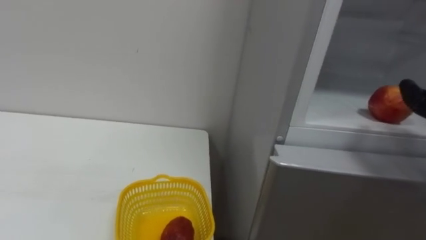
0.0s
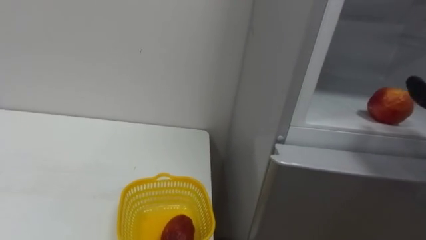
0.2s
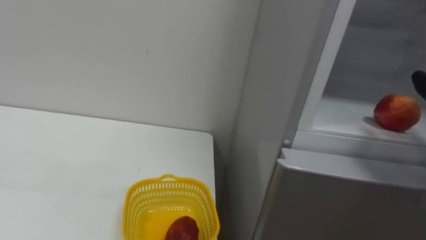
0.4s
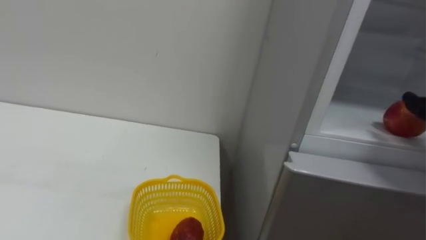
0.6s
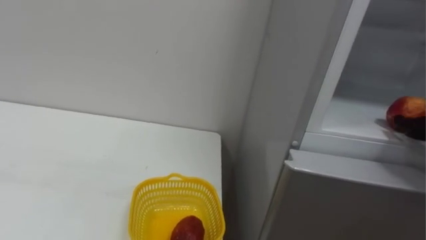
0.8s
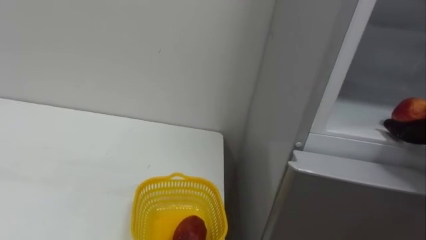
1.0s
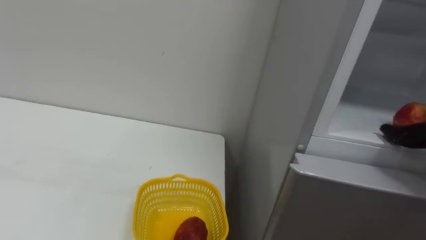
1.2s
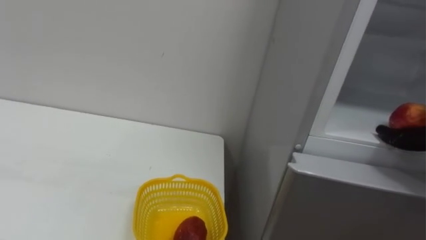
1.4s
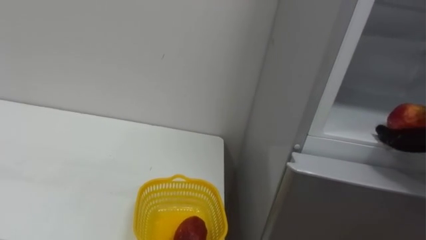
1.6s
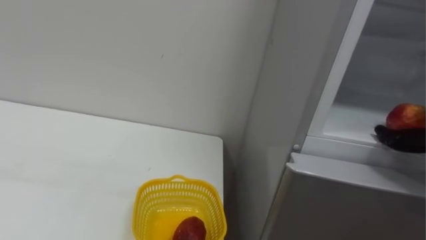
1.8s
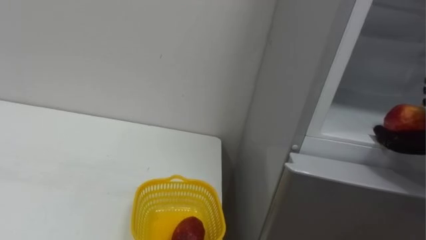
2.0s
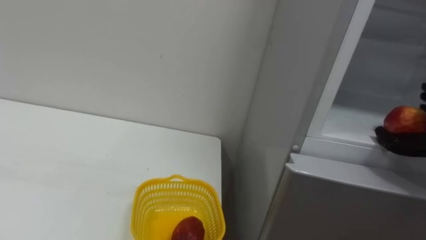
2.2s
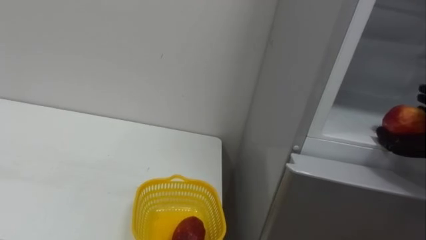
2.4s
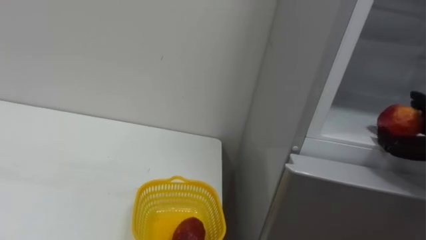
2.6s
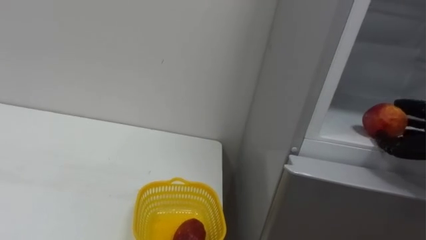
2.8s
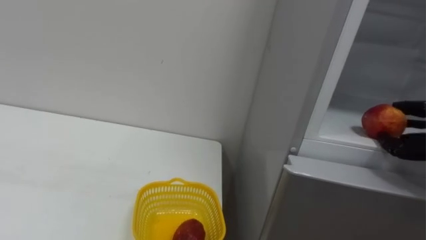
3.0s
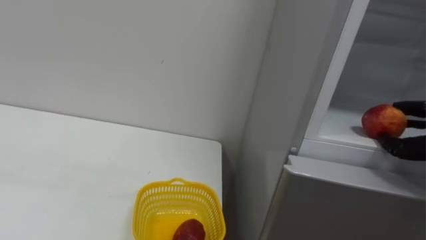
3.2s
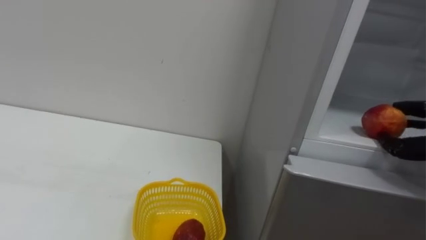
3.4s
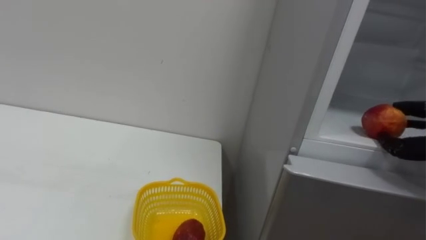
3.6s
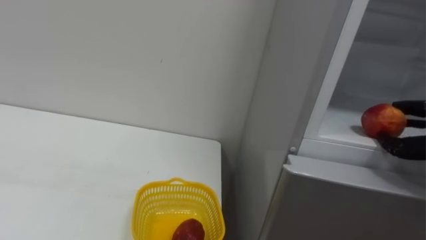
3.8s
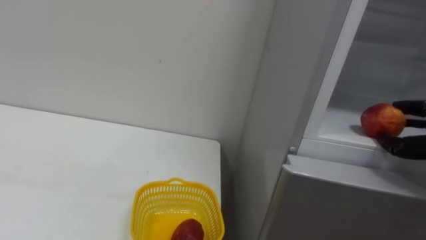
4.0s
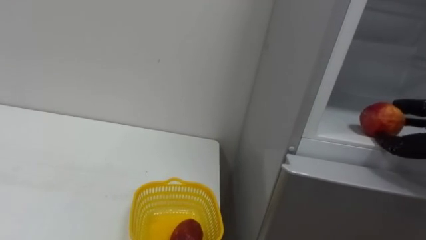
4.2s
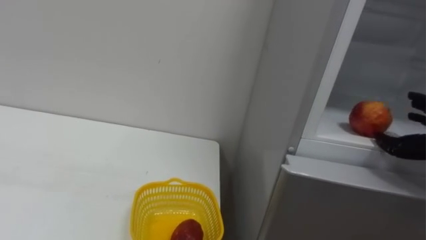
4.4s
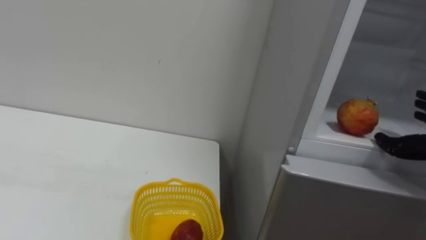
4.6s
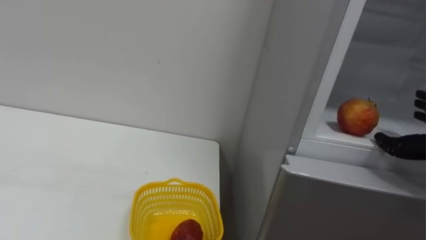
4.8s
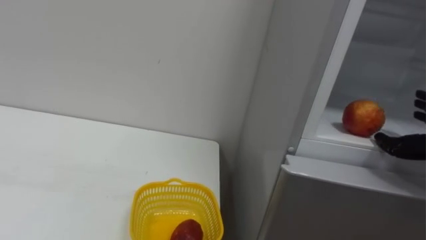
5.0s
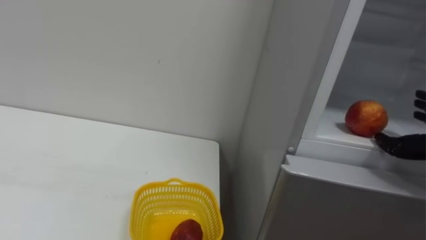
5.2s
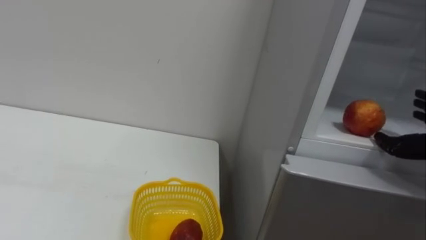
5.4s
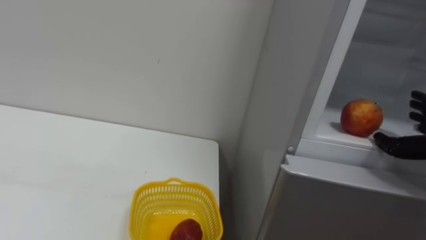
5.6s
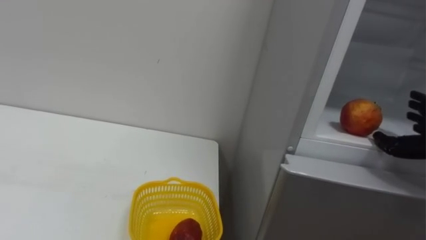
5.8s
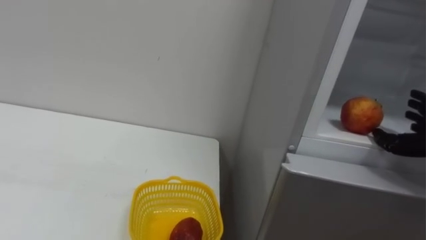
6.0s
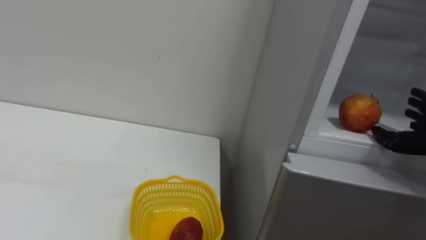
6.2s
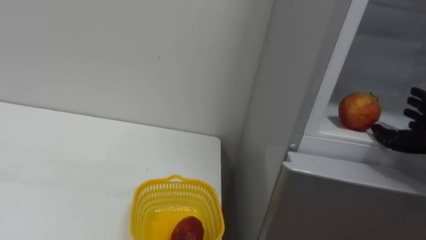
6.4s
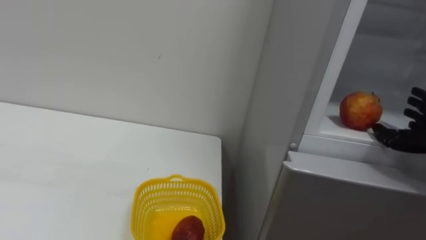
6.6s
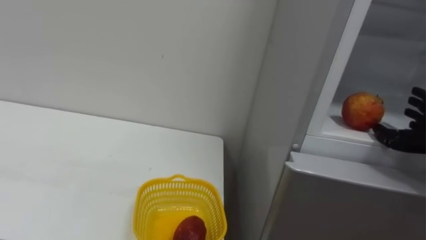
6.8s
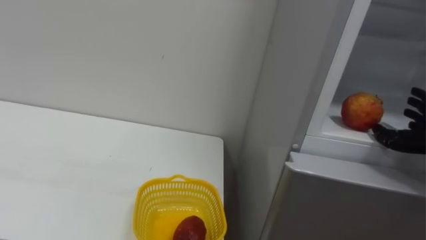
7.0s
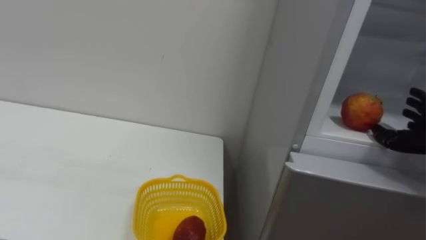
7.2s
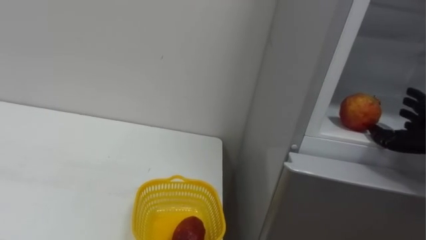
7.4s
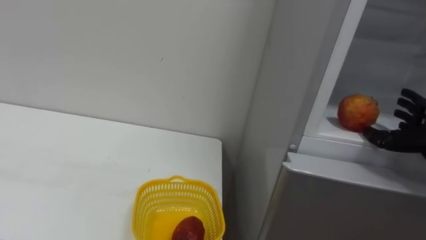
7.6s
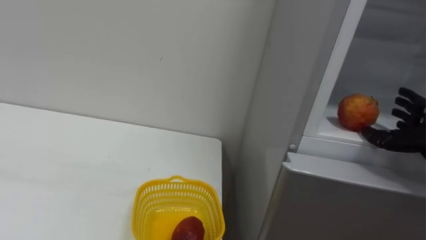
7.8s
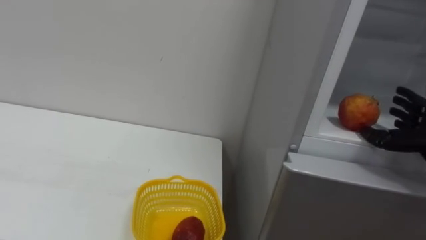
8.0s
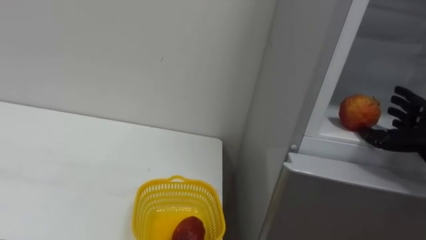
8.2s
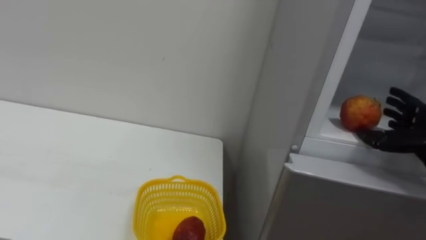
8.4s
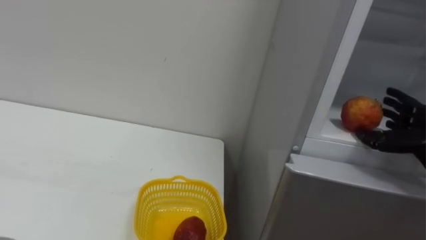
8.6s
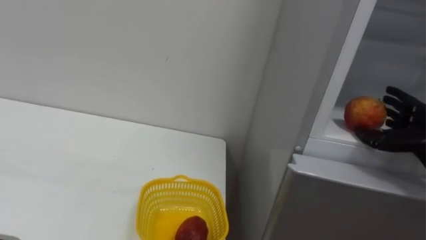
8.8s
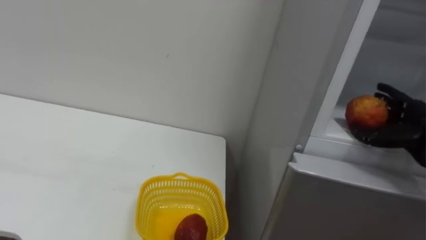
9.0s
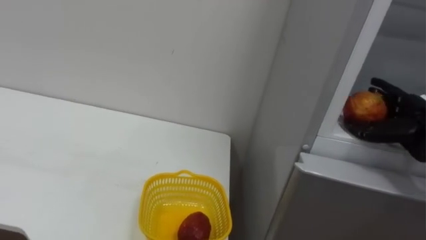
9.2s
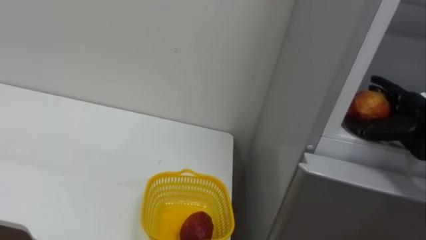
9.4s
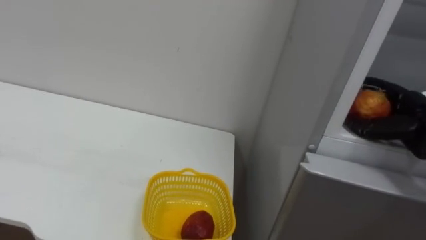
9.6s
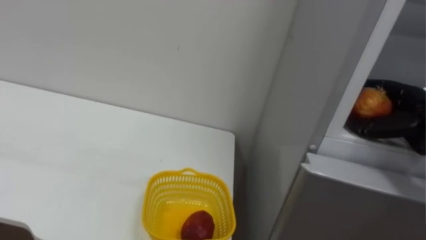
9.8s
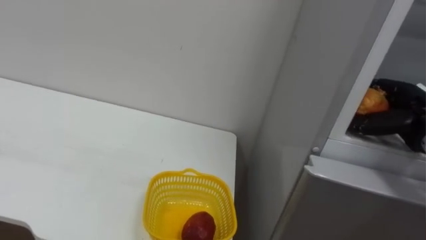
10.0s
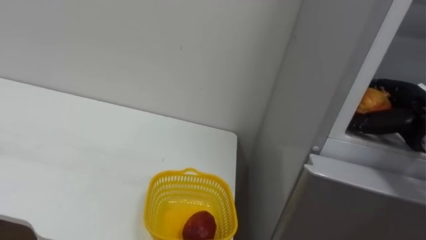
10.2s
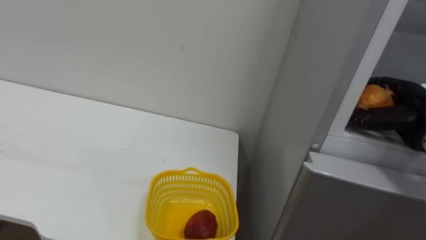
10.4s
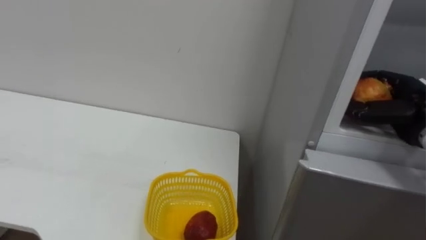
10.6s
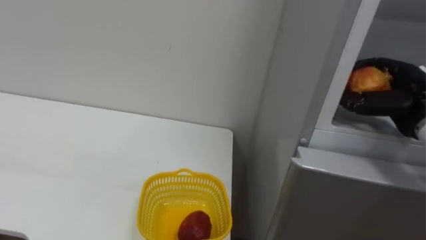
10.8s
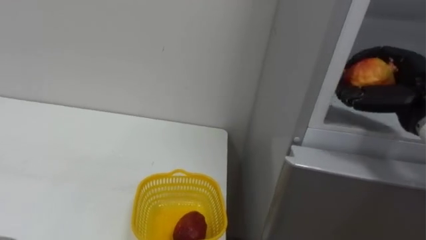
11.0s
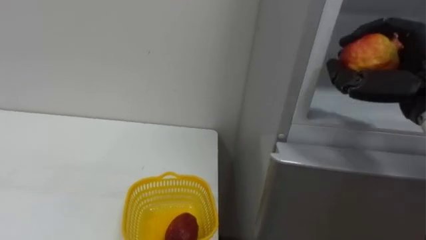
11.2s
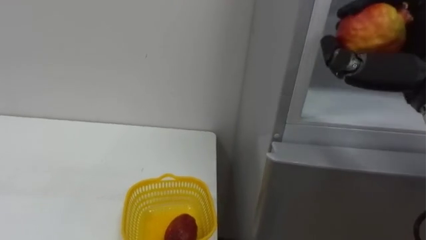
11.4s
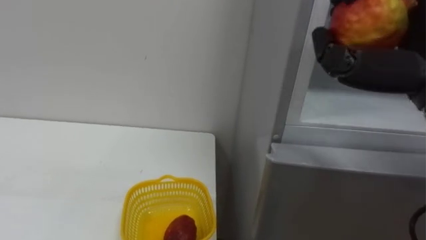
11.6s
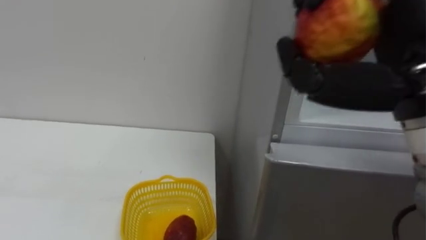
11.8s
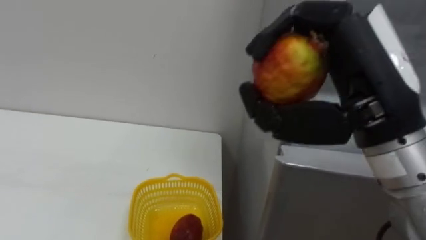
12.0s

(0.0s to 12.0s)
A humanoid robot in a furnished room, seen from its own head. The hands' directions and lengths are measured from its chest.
Task of the whole recording: Open the refrigerator door, take out the apple and the pomegranate, place them in the fruit basket on the left, and close the refrigerator door.
9.0s - 10.4s: The right hand closes.
10.4s - 12.0s: The right hand moves to the left, backward and upward, some 25 cm.

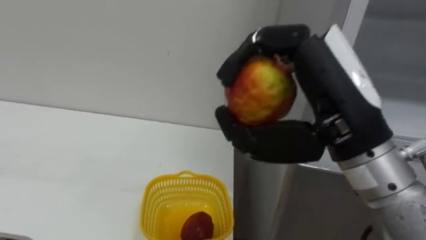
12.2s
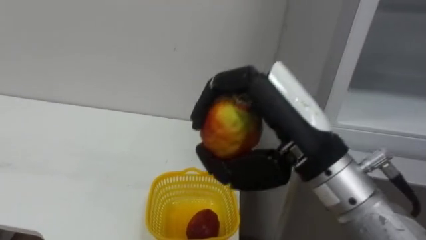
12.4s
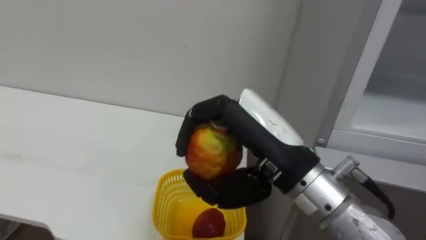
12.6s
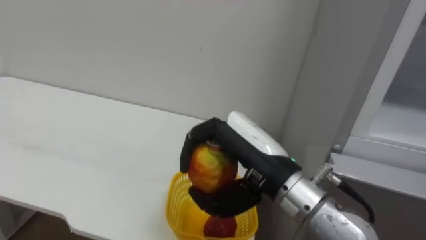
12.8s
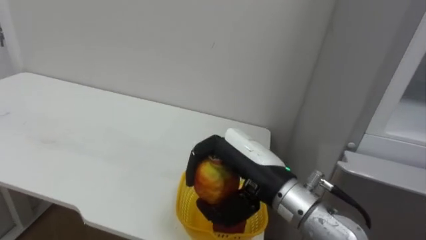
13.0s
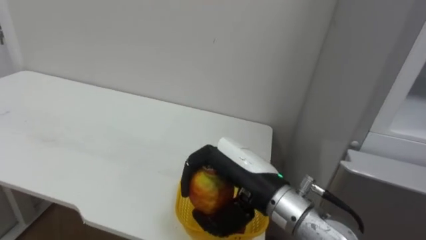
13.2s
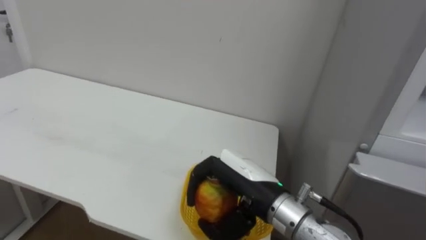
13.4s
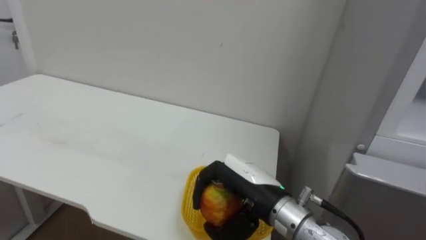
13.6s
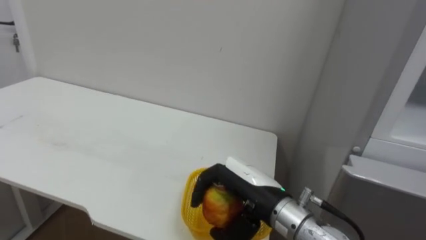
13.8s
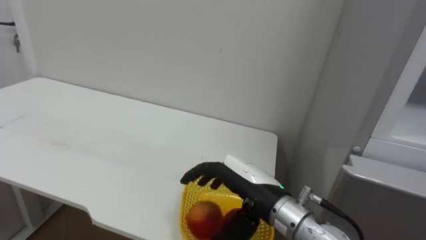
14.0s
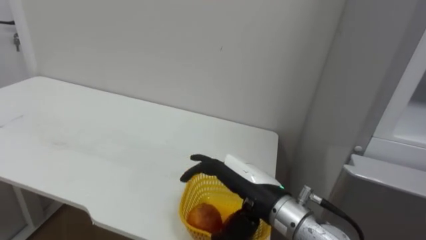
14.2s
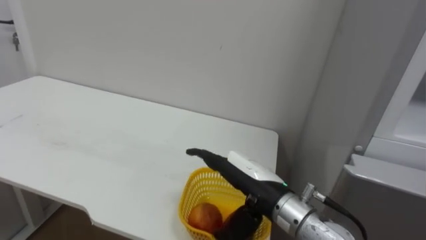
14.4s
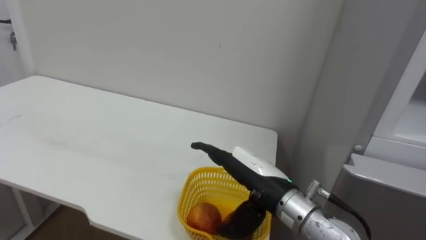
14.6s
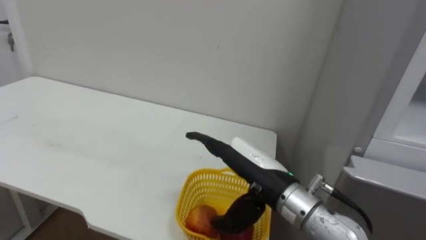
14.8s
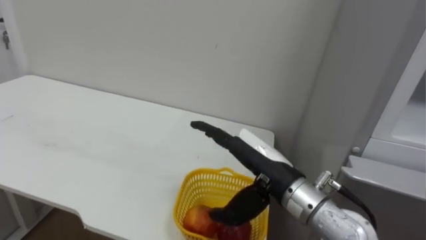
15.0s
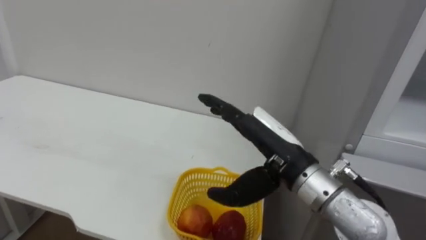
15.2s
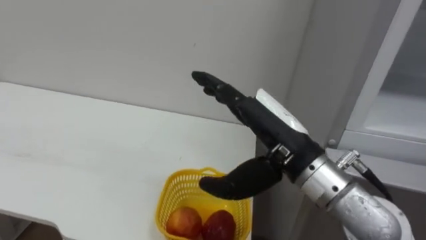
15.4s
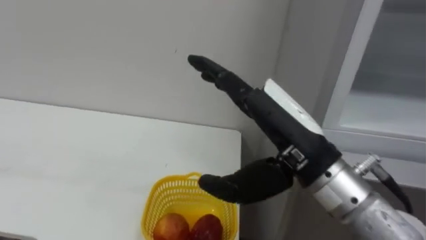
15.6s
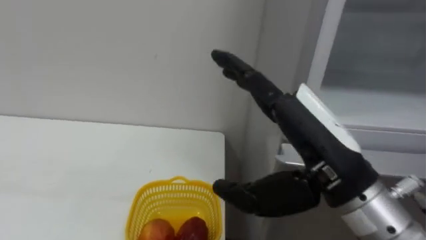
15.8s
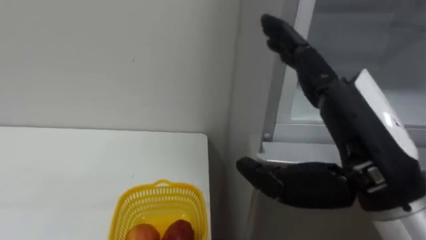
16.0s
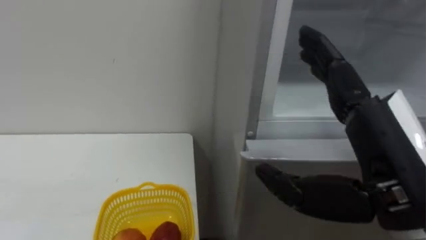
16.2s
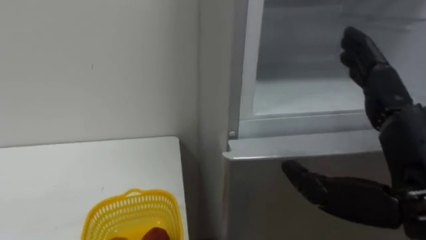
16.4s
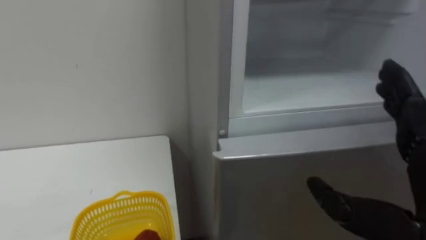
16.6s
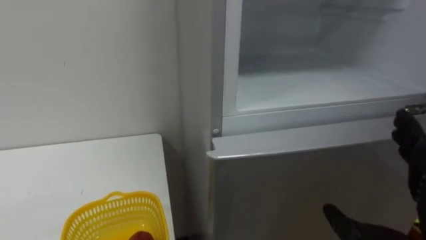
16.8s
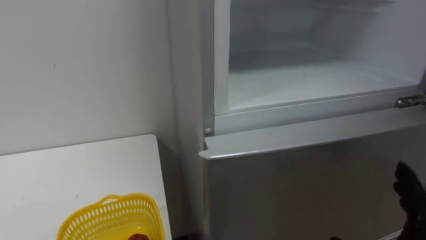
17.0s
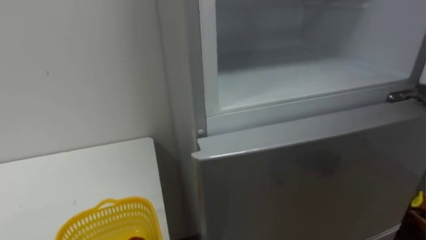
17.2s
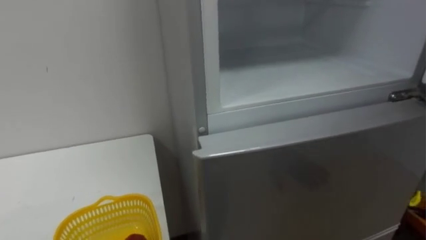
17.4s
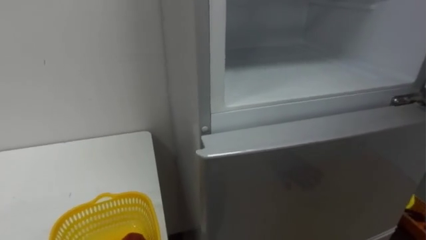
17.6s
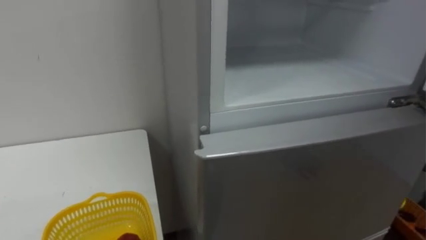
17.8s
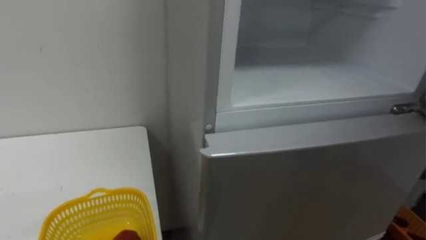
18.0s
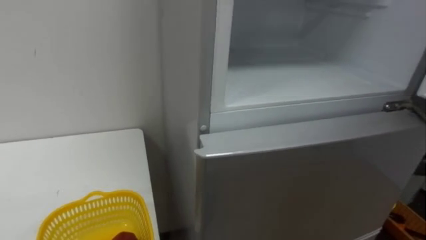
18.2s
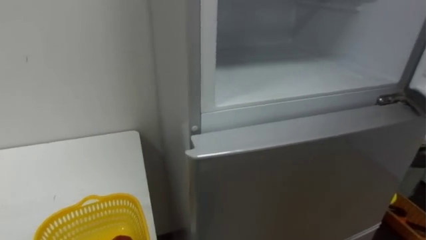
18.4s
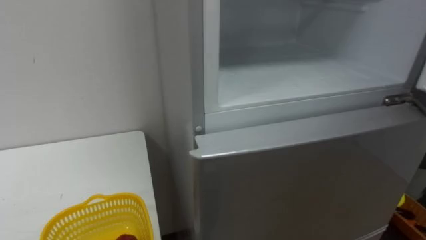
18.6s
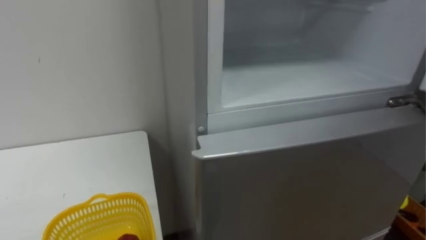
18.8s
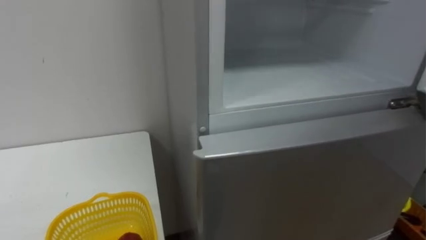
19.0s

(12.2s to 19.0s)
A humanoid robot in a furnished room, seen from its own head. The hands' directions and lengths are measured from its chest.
Task of the whole recording: Open the refrigerator door, take out the apple and the pomegranate, place them in the fruit basket on the left, and close the refrigerator door.
12.2s - 13.6s: The right hand moves downward, approximately 20 cm.
13.6s - 15.0s: The right hand opens its fingers.
15.0s - 16.2s: The right hand travels backward, to the right and upward by some 15 cm.
